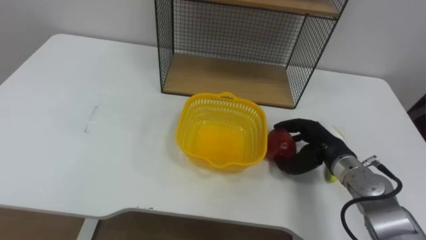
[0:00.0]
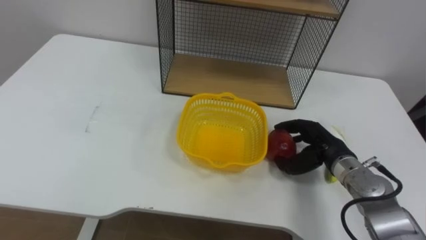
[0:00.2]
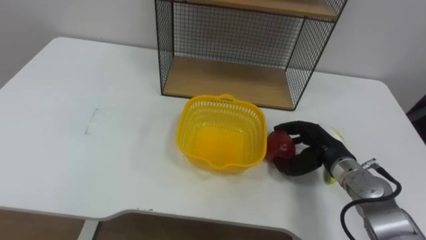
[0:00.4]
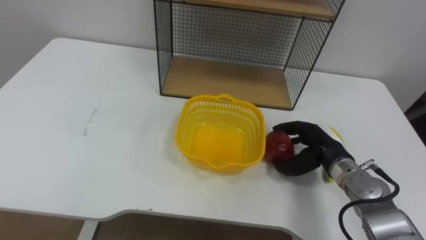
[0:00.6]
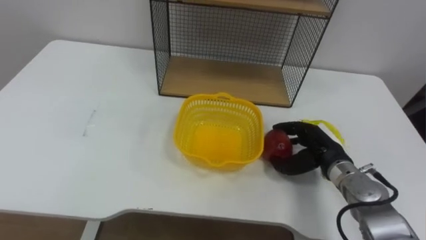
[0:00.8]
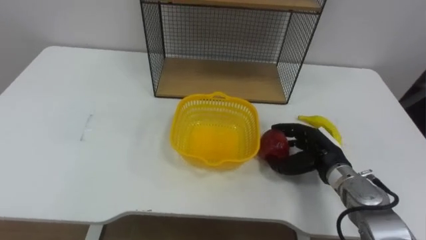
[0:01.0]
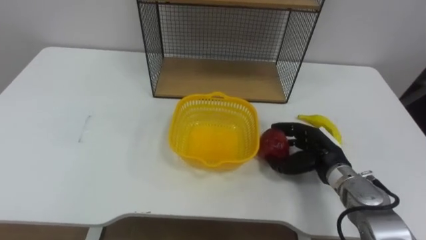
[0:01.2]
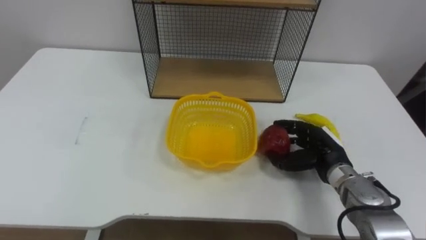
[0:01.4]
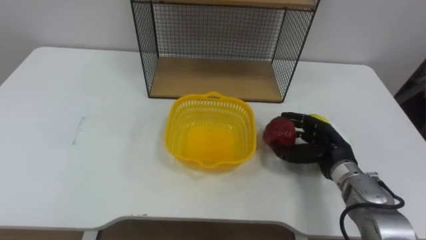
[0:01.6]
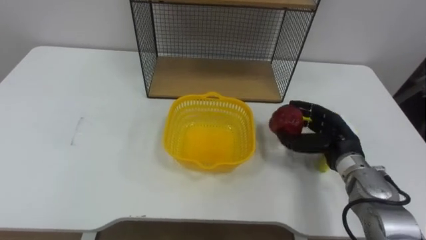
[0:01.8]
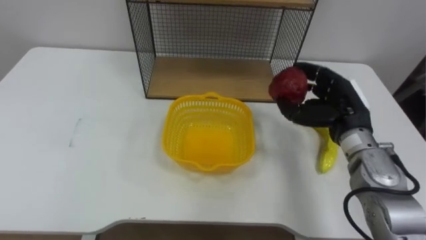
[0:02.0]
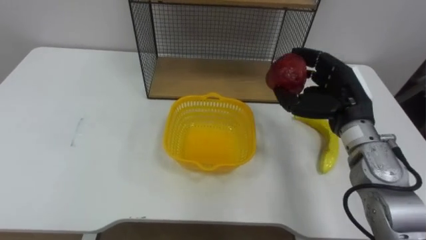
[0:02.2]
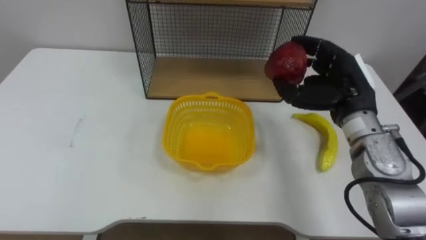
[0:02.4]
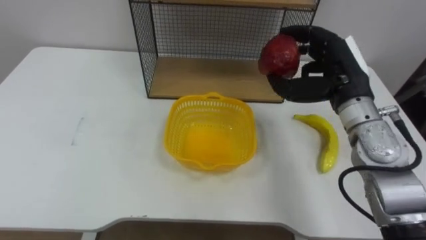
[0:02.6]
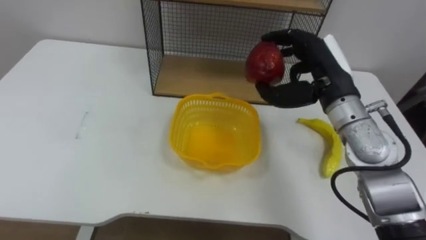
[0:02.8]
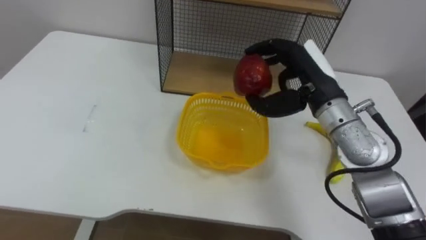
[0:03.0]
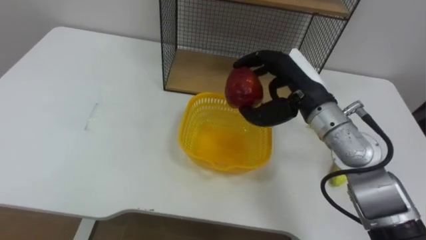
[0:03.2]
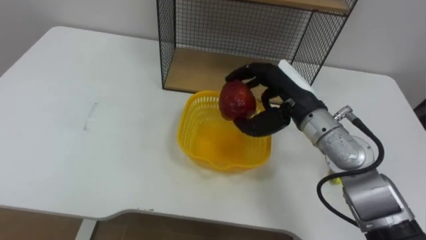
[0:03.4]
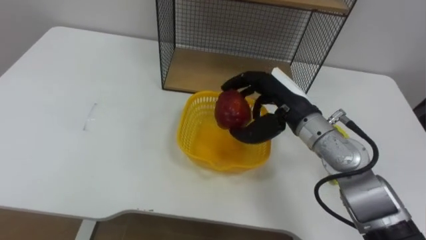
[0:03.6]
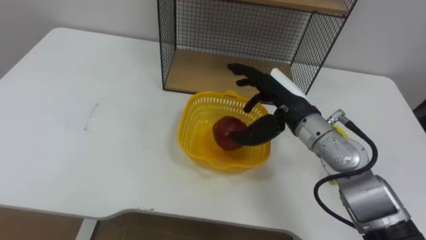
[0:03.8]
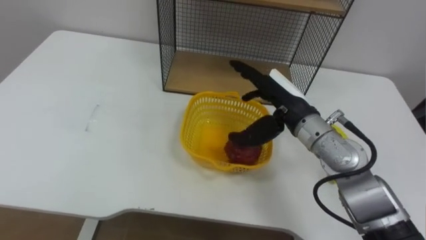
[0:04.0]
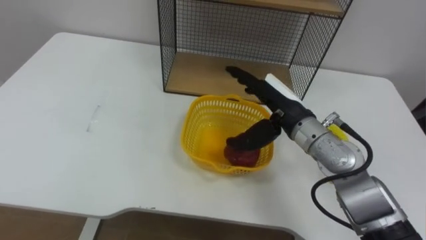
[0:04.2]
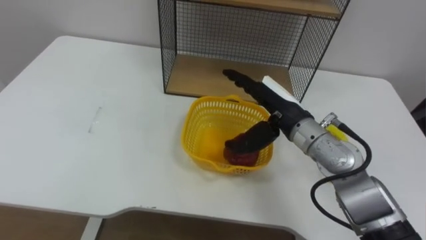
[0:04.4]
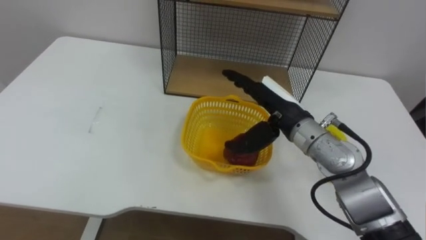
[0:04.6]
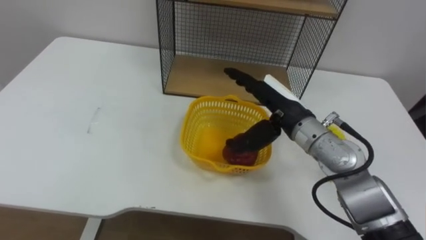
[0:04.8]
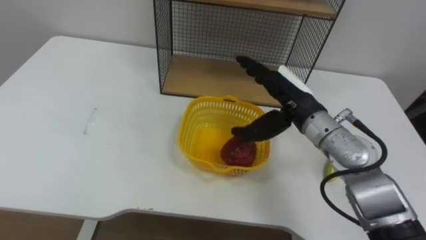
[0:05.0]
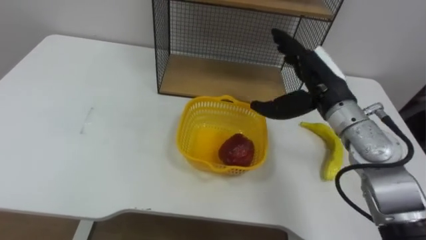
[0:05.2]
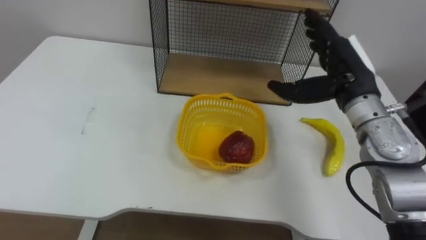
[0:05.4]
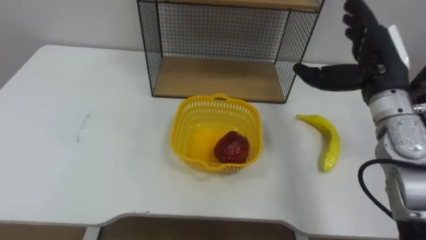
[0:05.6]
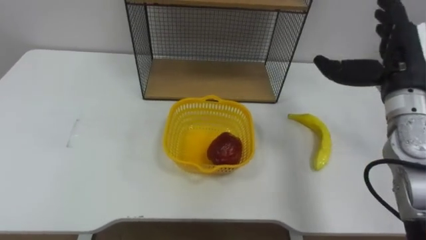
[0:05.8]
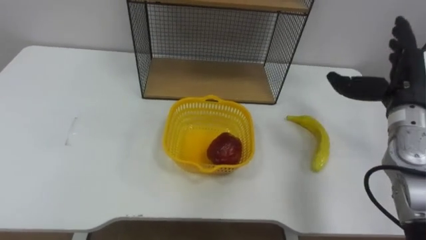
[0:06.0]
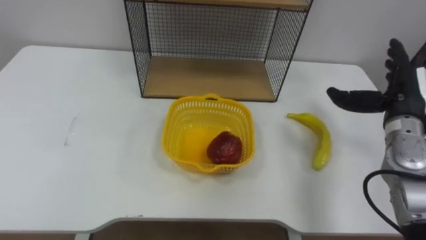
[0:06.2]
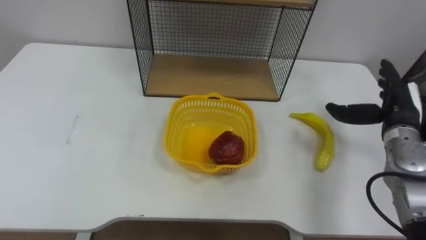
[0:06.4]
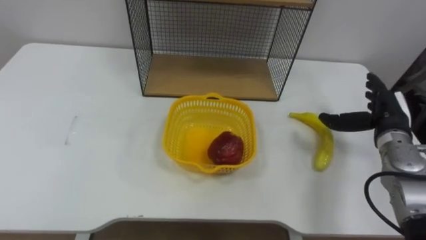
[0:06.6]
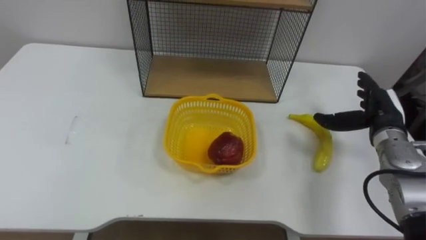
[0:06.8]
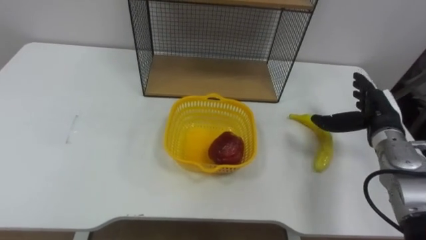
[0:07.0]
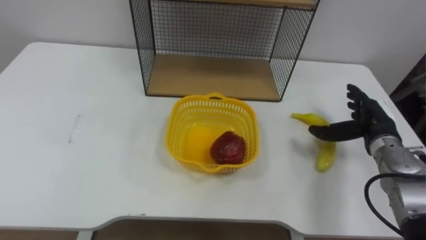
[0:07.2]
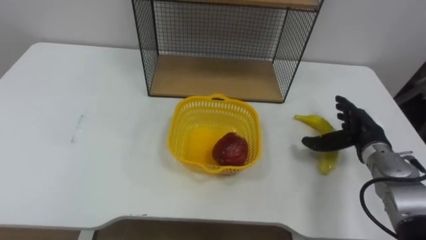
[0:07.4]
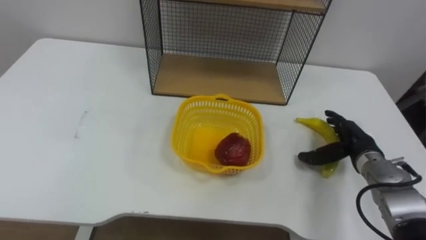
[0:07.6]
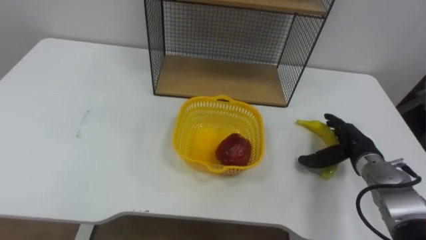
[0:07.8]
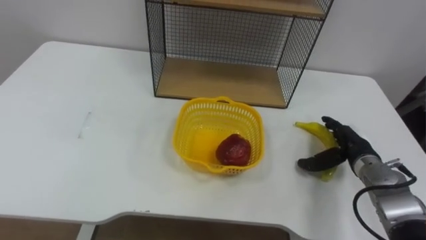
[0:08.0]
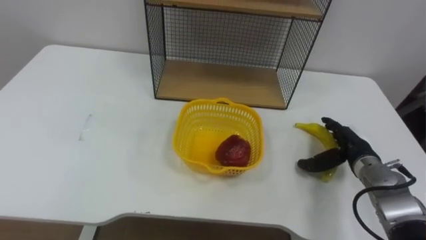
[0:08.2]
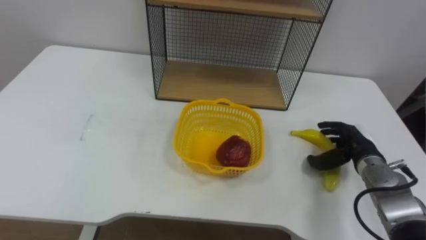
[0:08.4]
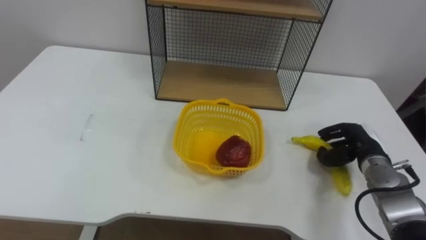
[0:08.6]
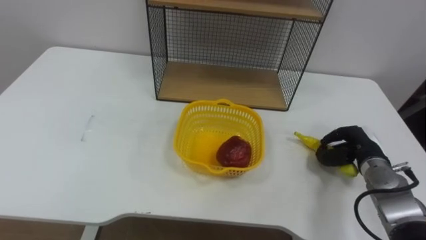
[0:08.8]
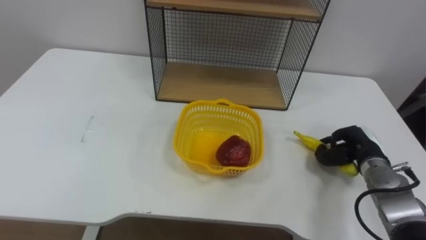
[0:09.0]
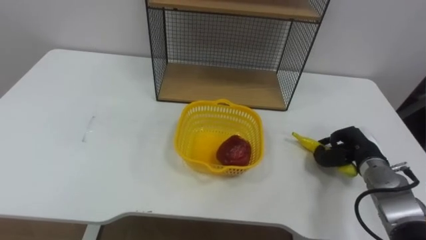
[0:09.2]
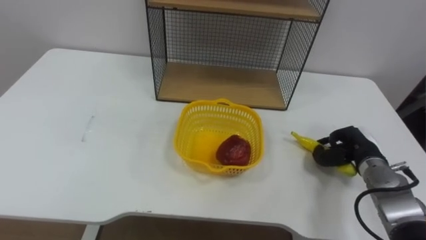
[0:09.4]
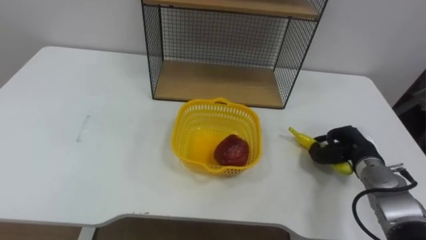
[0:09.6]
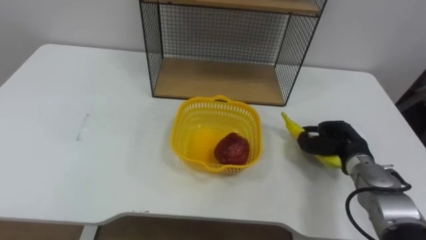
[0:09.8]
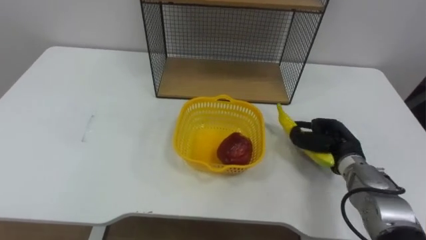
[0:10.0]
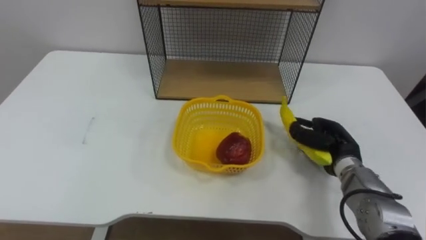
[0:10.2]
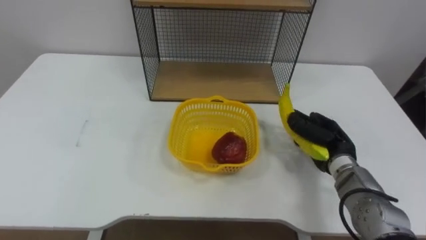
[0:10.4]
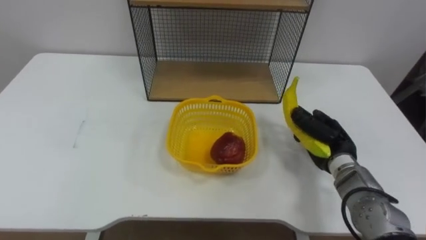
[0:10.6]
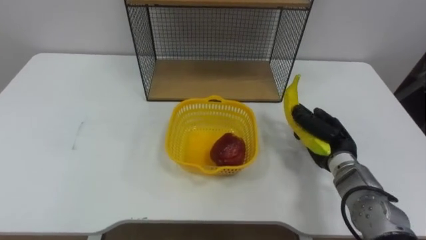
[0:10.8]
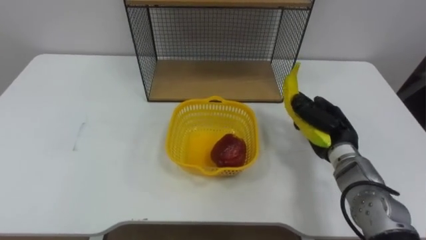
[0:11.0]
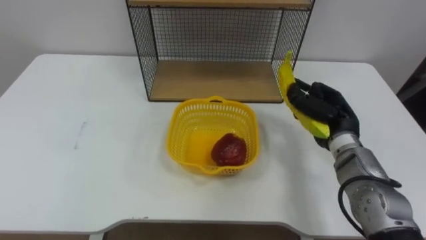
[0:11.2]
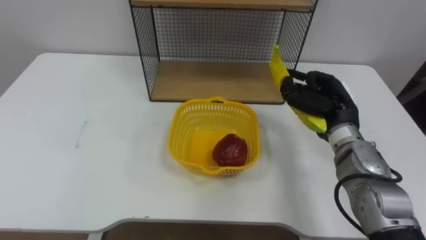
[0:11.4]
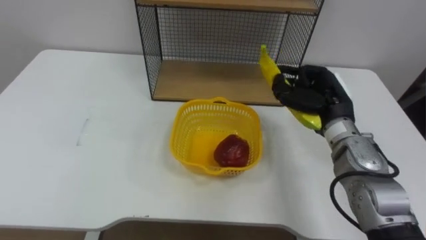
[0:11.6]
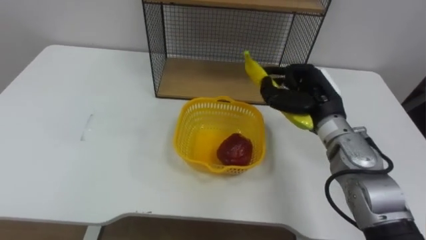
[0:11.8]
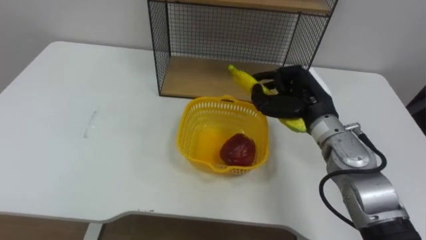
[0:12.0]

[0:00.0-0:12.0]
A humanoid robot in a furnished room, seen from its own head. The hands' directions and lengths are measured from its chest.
Task of the whole recording: Put the fruit on the table into the basket, then place the basket on the shelf.
0:01.6 to 0:03.0: The right hand goes roughly 15 cm upward and to the left.
0:03.0 to 0:04.4: The right hand moves downward, about 5 cm, and opens up.
0:04.4 to 0:06.0: The right hand goes approximately 20 cm to the right.
0:06.0 to 0:07.6: The right hand travels downward by some 15 cm.
0:07.6 to 0:09.0: The right hand closes its fingers.
0:09.0 to 0:10.4: The right hand heads to the left, covering roughly 5 cm.
0:10.4 to 0:12.0: The right hand is displaced upward and to the left by roughly 15 cm.

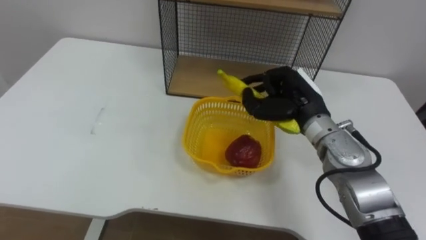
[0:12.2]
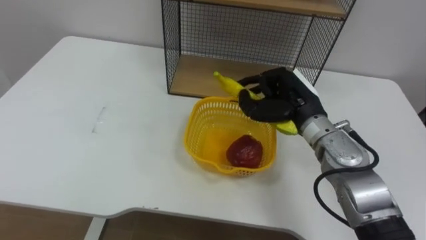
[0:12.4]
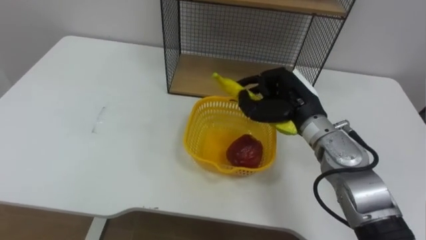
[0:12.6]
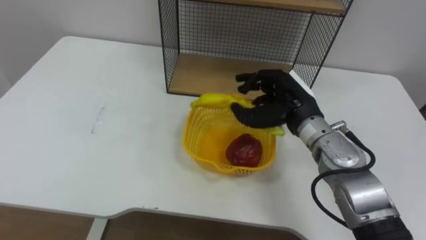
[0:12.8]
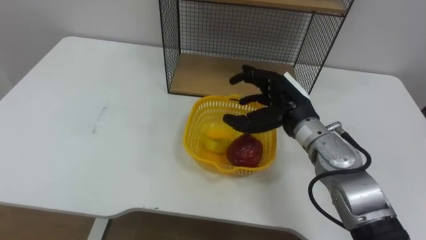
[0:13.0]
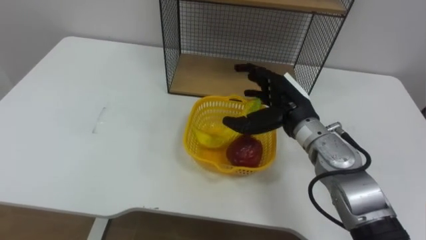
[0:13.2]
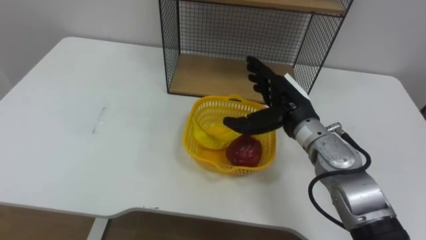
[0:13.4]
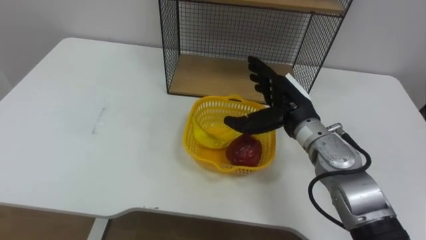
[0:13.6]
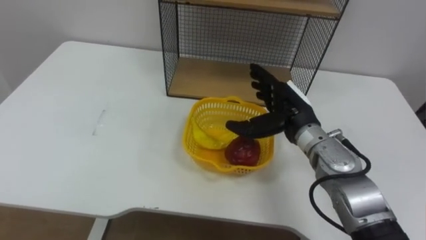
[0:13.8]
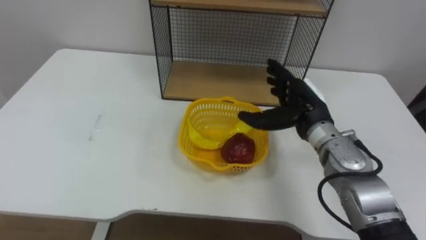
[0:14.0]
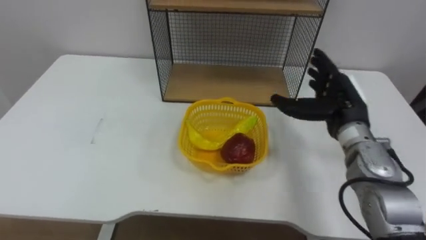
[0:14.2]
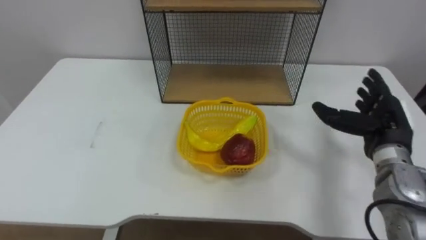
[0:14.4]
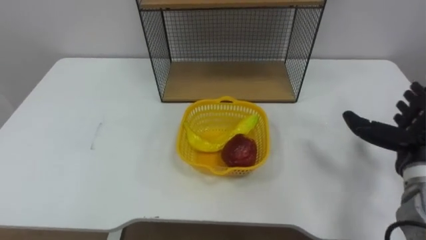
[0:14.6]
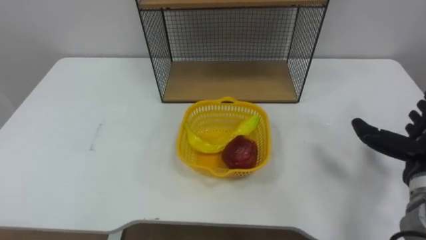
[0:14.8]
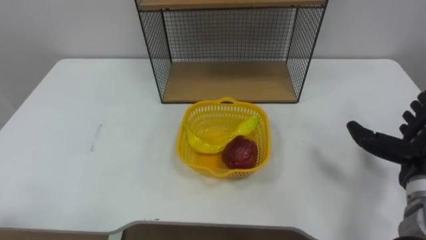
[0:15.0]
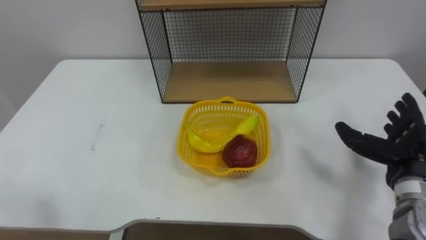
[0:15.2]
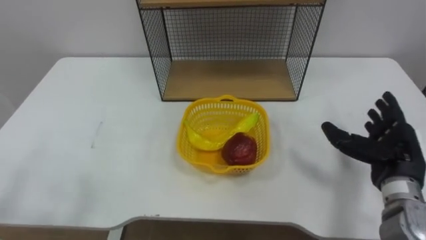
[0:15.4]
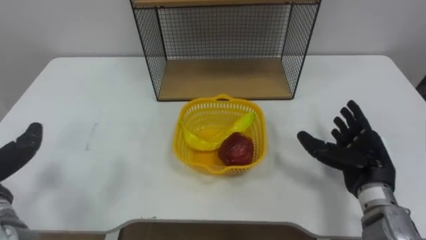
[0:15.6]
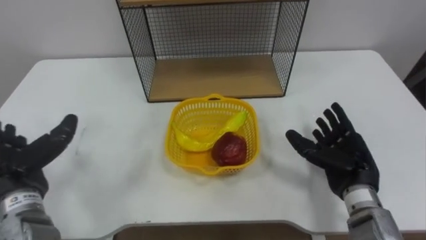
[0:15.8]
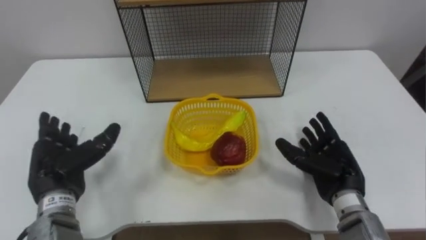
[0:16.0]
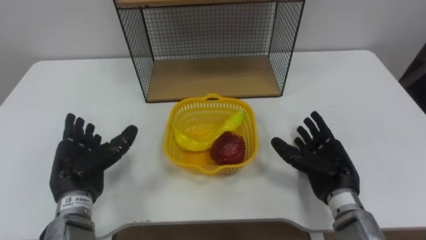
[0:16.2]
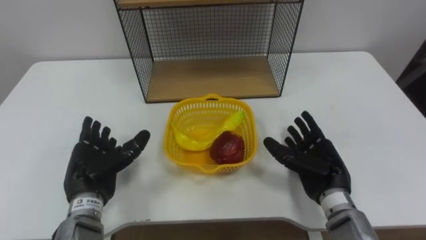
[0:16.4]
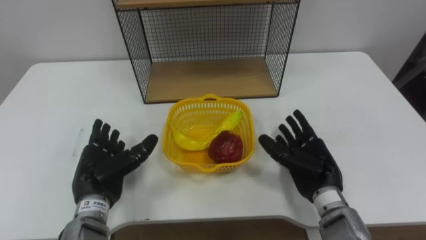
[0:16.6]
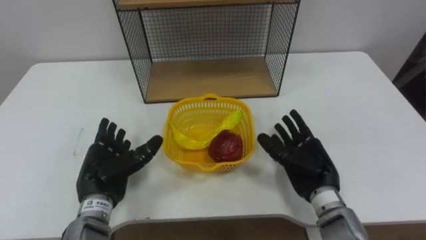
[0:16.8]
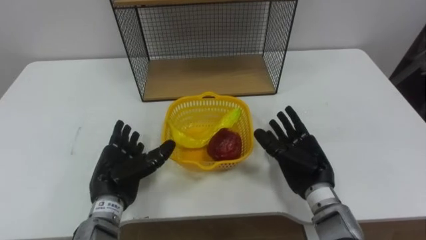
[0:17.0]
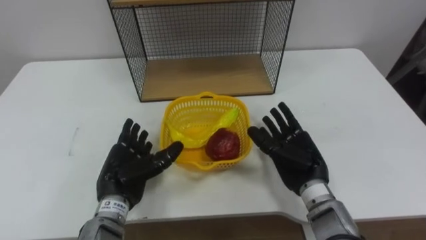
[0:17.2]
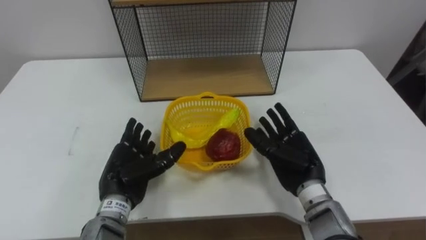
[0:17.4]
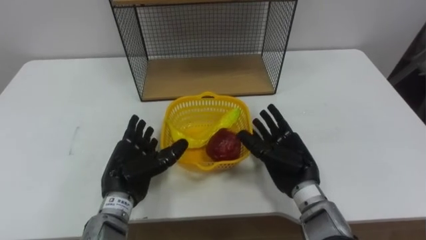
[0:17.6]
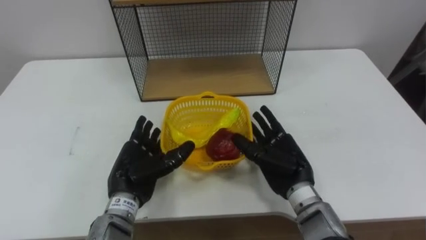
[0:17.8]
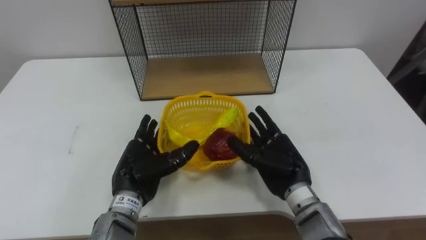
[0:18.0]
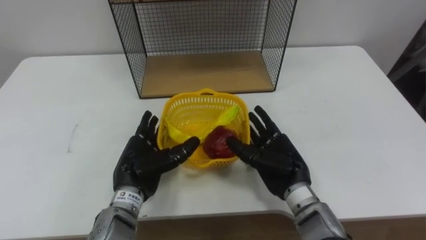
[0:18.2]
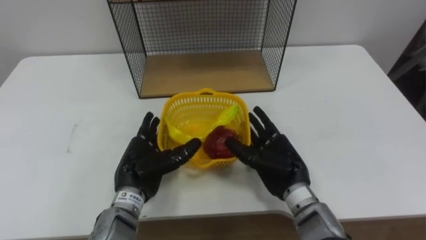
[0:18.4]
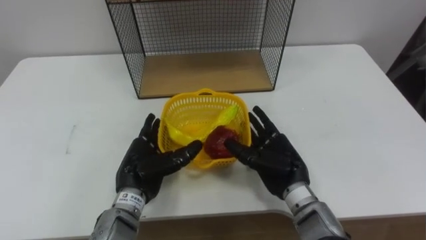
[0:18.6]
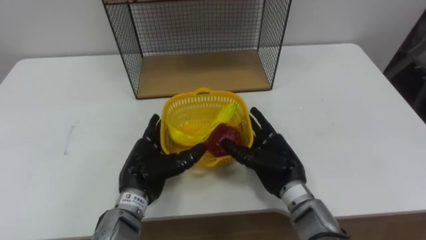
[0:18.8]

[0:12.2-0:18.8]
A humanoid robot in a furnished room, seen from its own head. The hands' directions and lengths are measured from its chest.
Task of the whole recording: Put the fruit on the table into the basket, then place the basket on the shelf.
0:12.2 to 0:13.8: The right hand opens.
0:15.4 to 0:17.2: The right hand shifts about 15 cm to the left.
